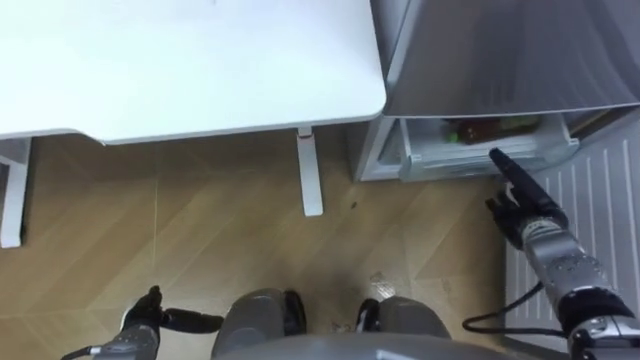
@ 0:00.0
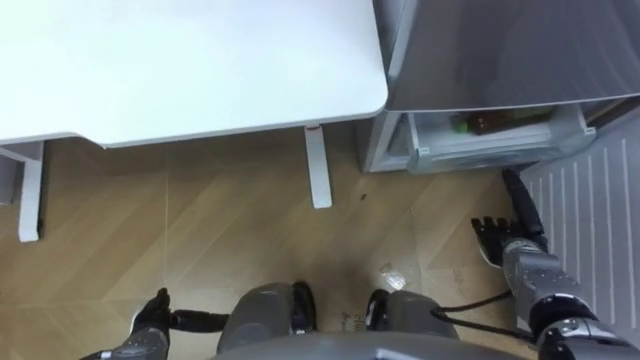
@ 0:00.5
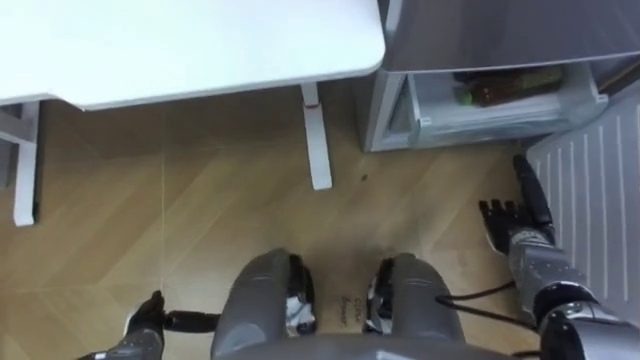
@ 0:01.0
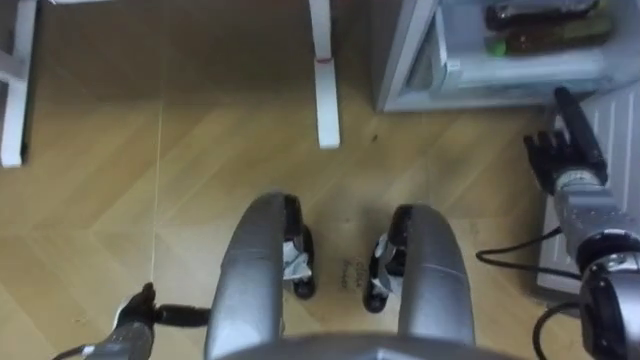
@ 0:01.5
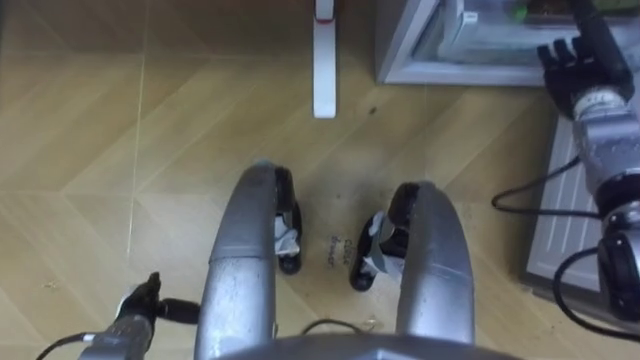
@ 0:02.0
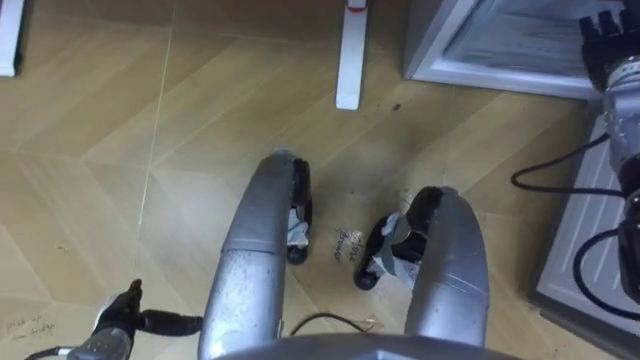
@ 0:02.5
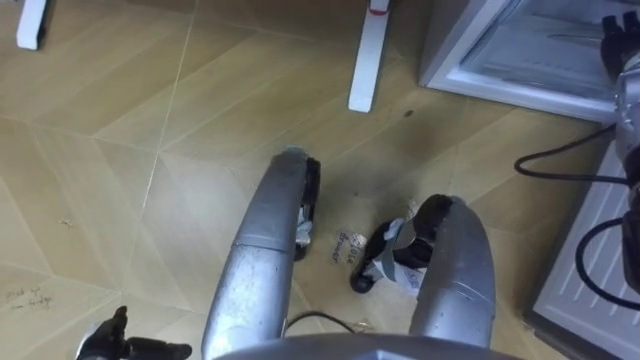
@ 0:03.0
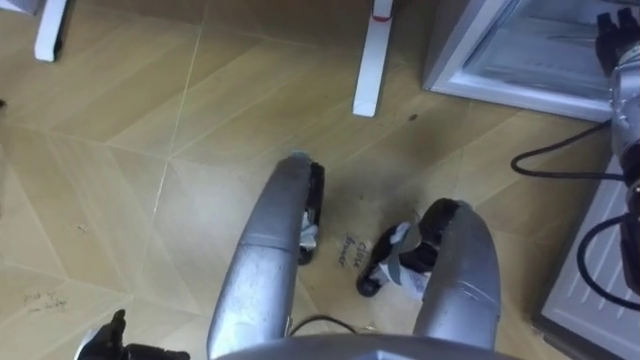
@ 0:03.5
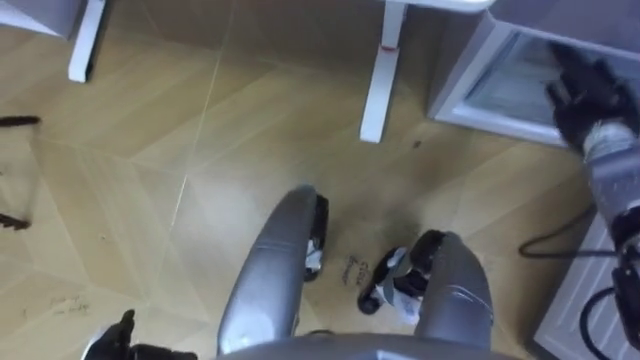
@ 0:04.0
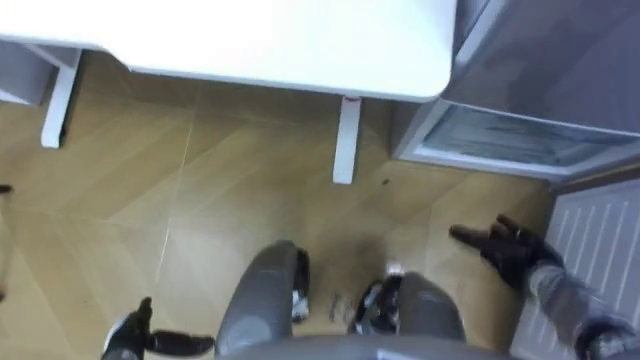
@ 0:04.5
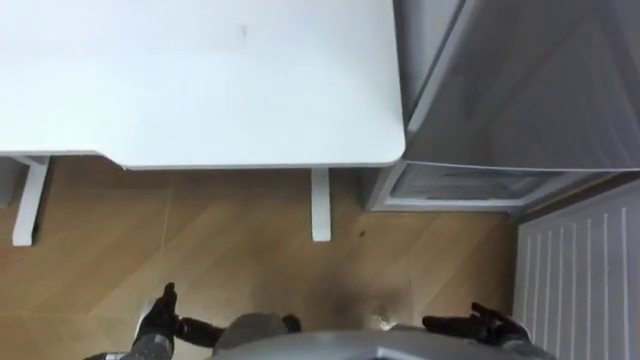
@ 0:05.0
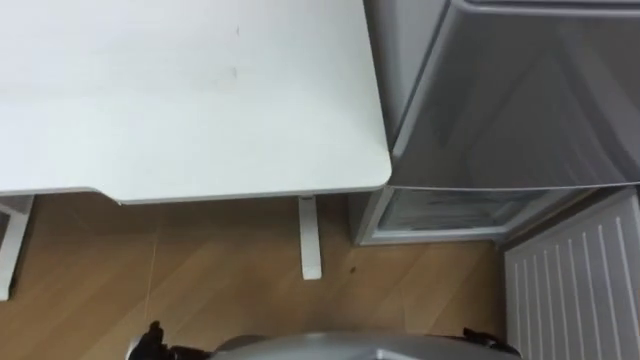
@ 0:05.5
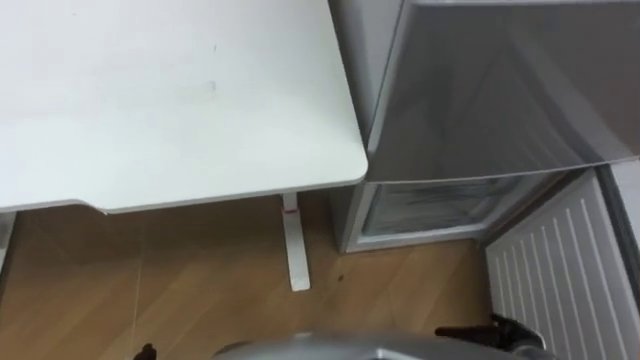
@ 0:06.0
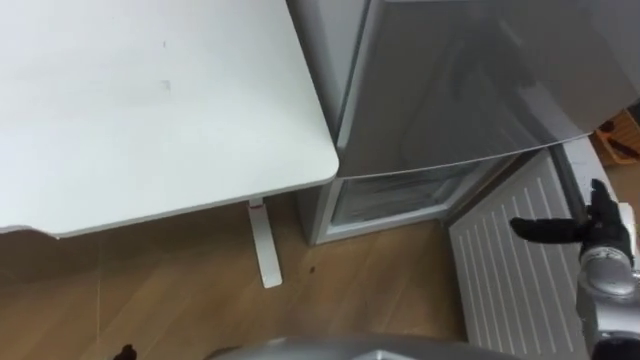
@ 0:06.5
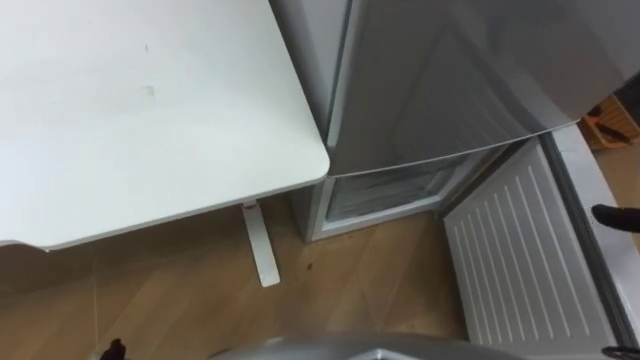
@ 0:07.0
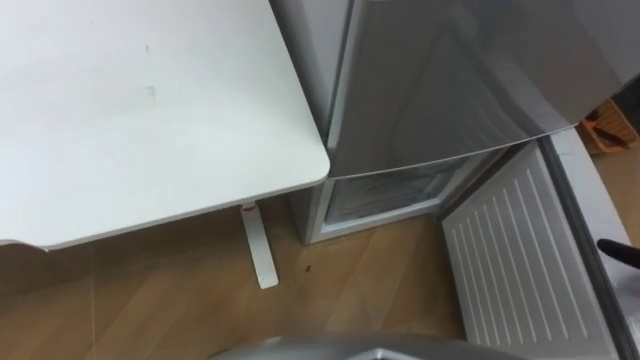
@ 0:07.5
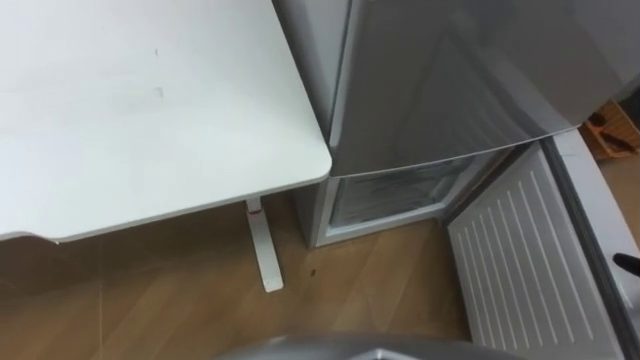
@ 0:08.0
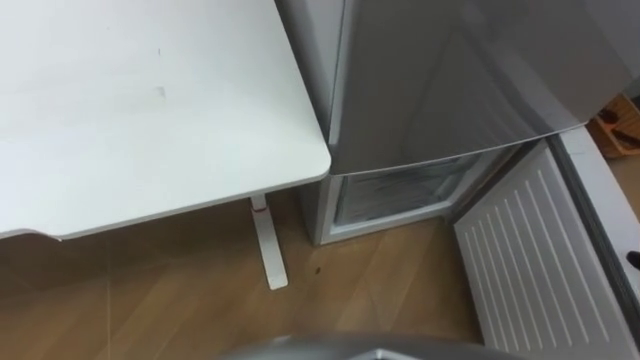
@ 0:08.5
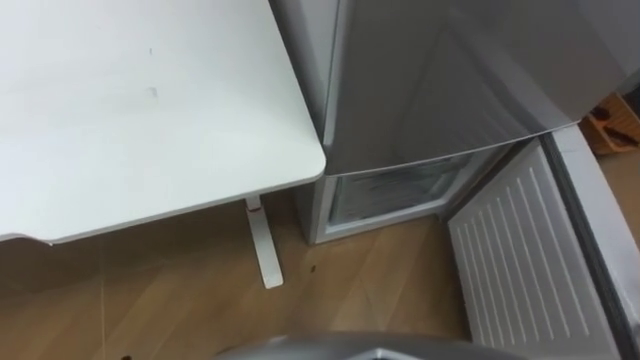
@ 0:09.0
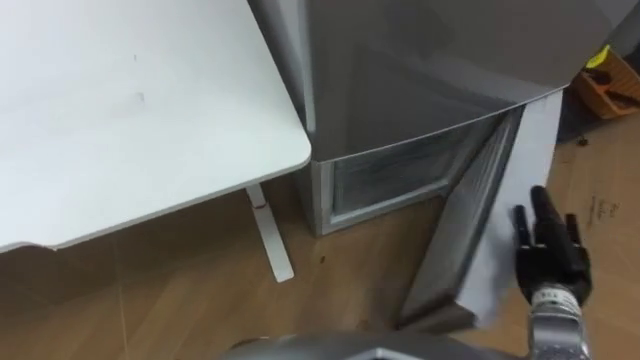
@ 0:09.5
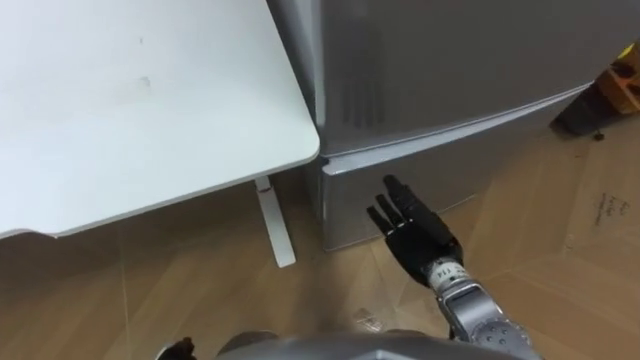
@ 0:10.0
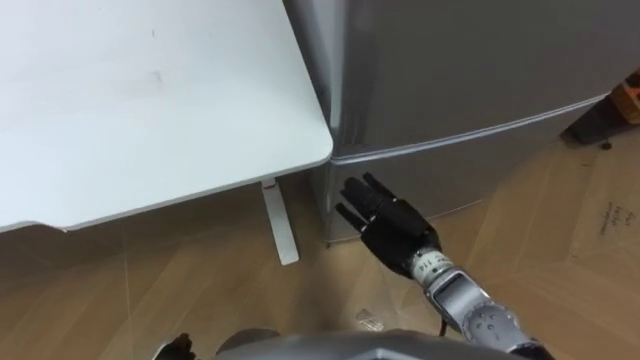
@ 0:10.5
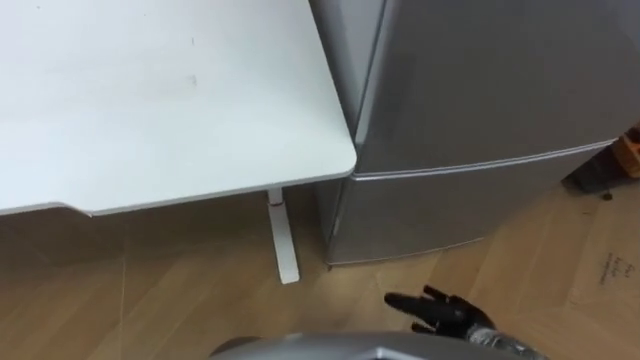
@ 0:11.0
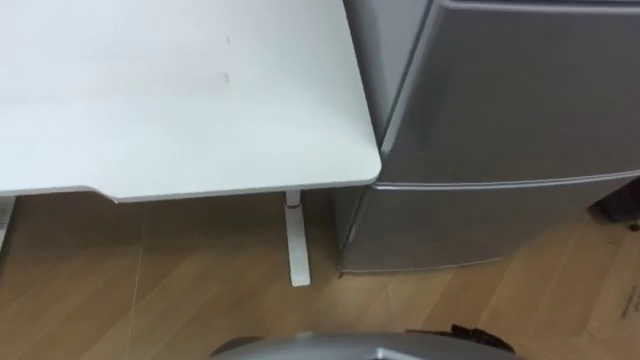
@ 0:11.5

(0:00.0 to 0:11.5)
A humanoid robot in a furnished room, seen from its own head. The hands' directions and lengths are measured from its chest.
Task of the whole recording: Place the drink on the table on the bottom shelf of the refrigerator, then close the drawer and the refrigerator door.
0:00.0 - 0:02.0: The right hand is displaced forward and upward by some 20 cm.
0:02.0 - 0:04.0: The right hand changes place by some 5 cm.

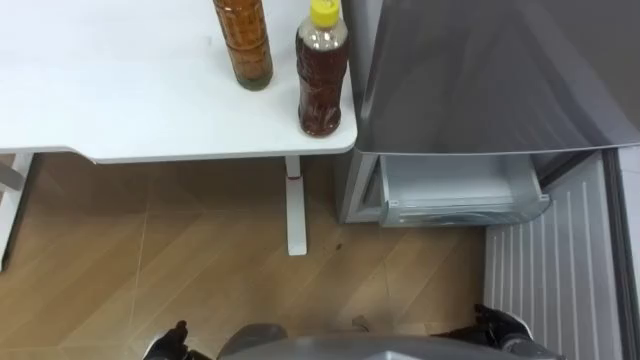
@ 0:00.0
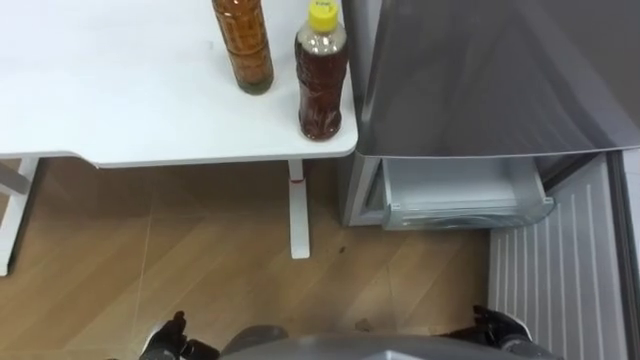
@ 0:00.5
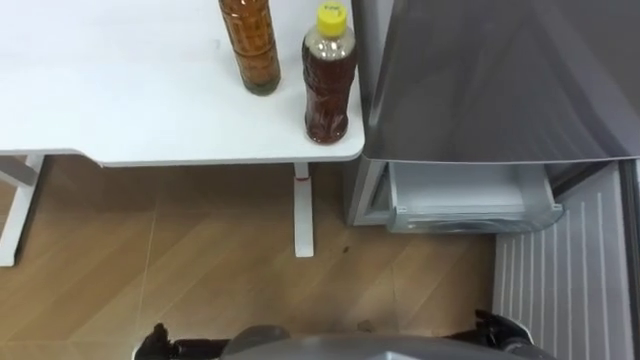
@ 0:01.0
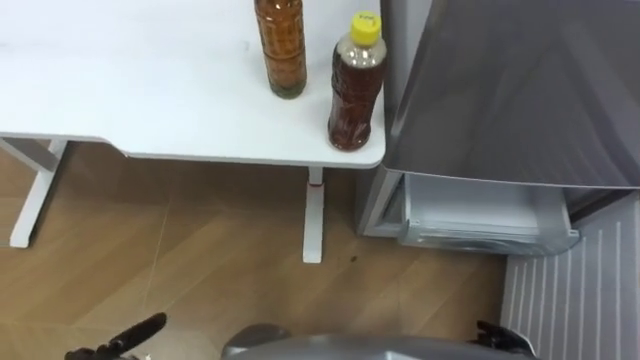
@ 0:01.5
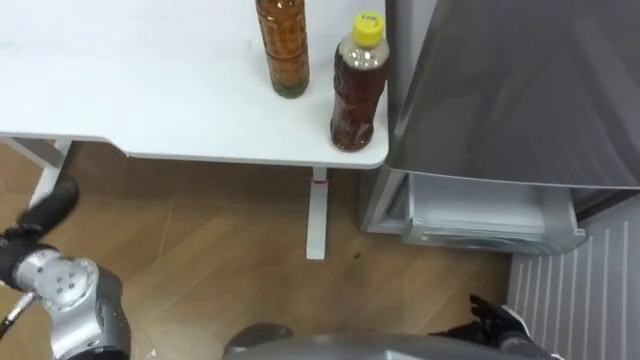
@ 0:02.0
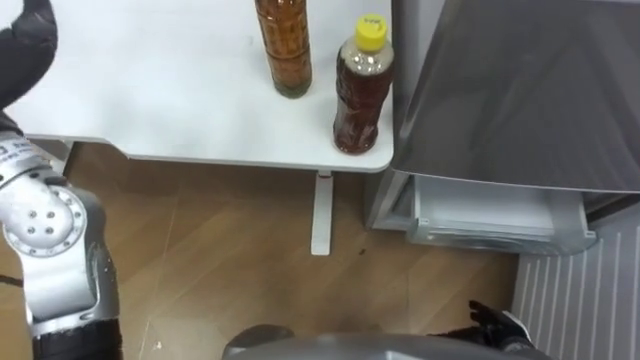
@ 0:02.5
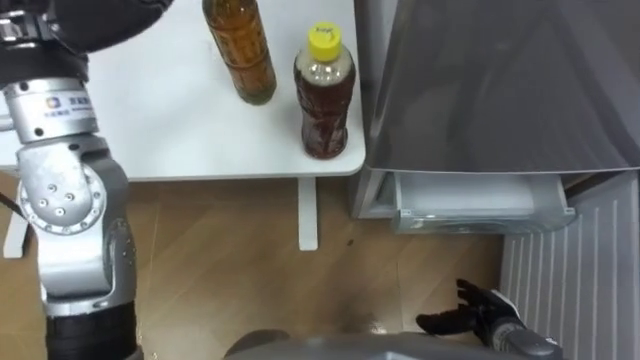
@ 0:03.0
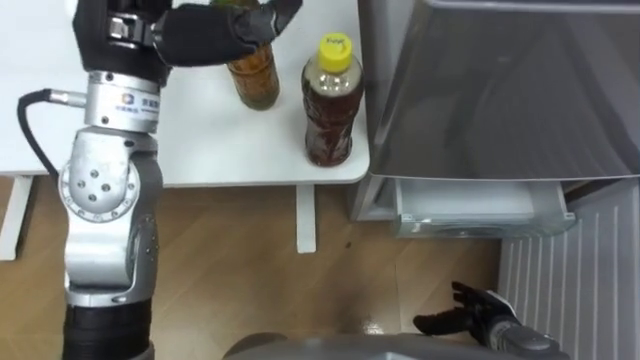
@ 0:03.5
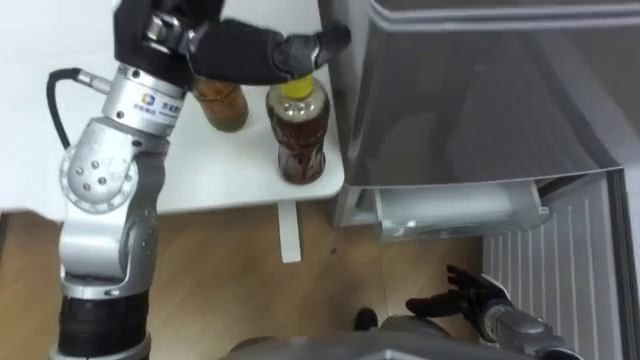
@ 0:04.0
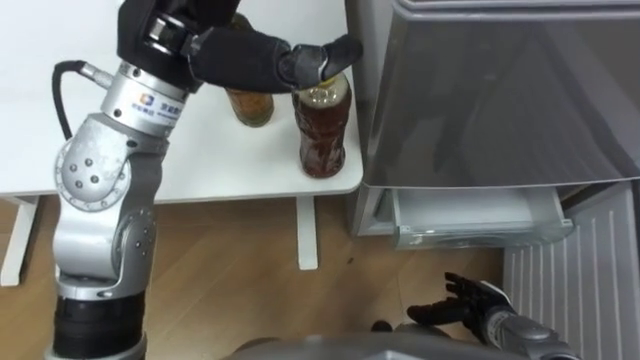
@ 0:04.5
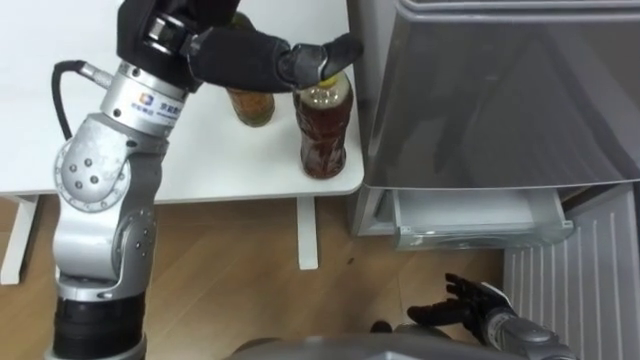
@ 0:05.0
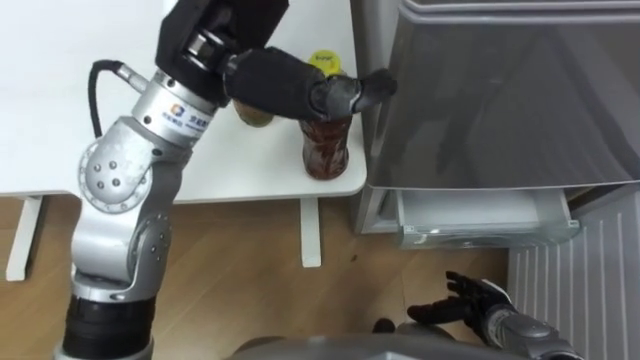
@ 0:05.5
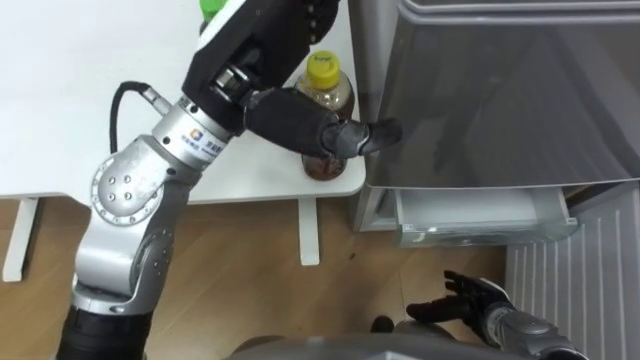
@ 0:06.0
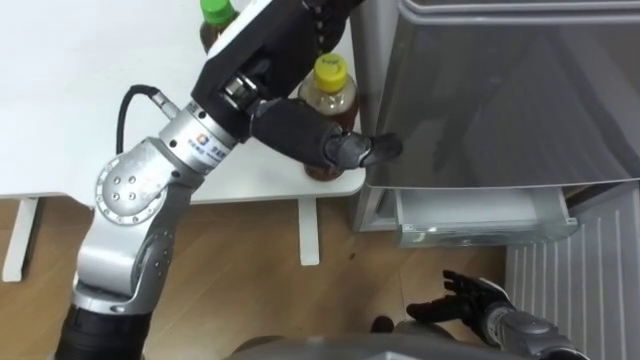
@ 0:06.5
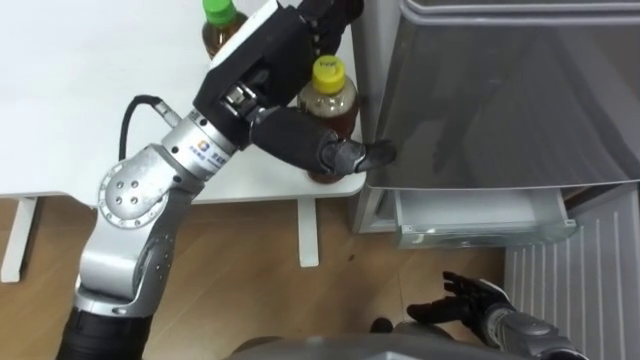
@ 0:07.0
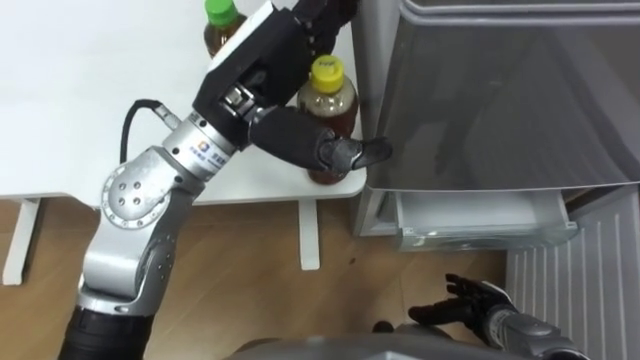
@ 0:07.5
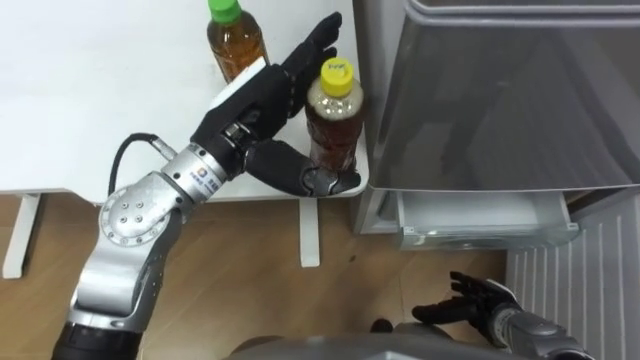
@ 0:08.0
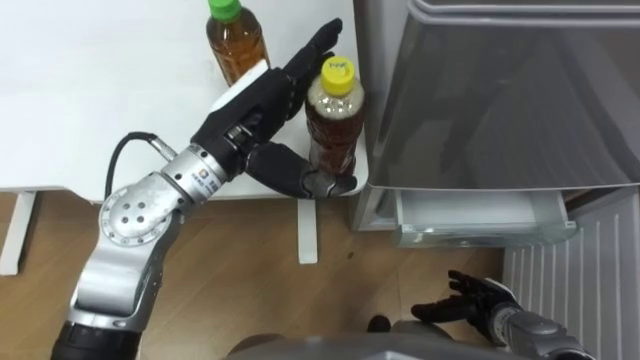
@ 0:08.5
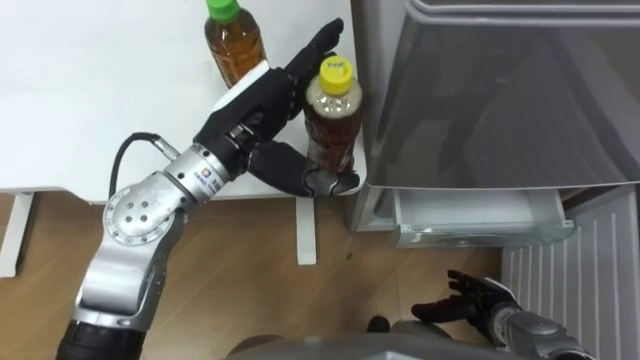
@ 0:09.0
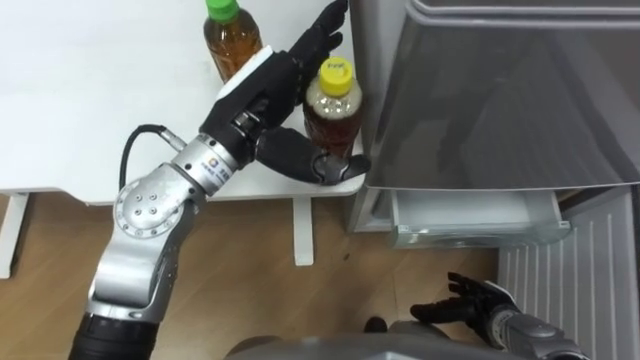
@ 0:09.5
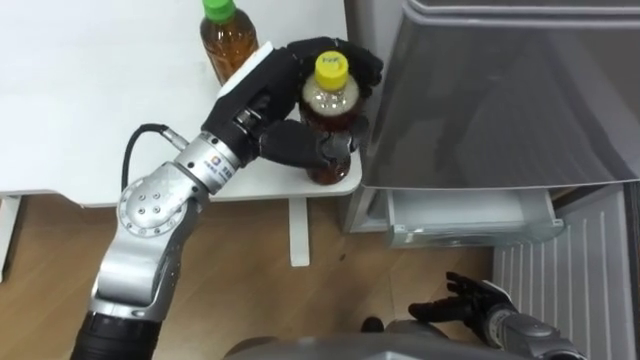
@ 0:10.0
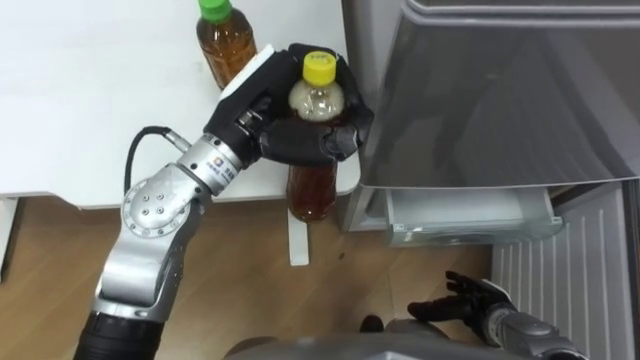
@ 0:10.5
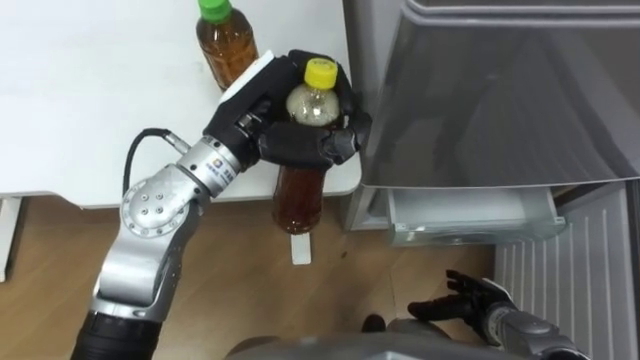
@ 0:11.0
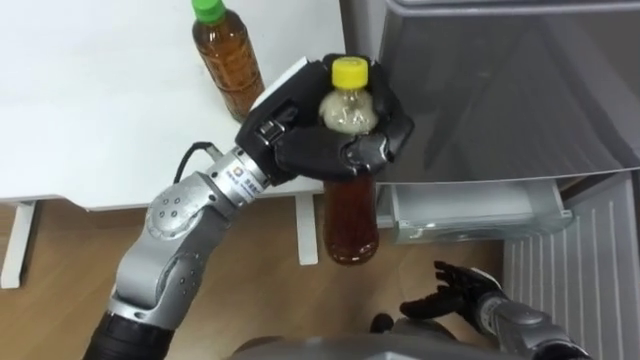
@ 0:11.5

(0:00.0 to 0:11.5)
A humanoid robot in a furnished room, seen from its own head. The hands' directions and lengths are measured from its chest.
Task of the whole recording: Place the drink on the table on the bottom shelf of the refrigerator, then close the drawer and the refrigerator door.
0:04.0 - 0:06.0: The left hand is displaced to the right by about 5 cm.
0:06.0 - 0:07.5: The hands stay close to where they were, moving slightly.
0:07.5 - 0:09.5: The left hand moves downward, roughly 5 cm.
0:09.5 - 0:11.5: The left hand closes up.
